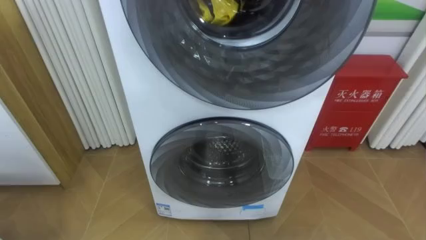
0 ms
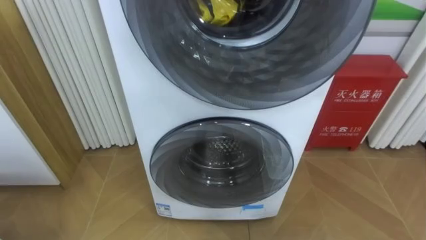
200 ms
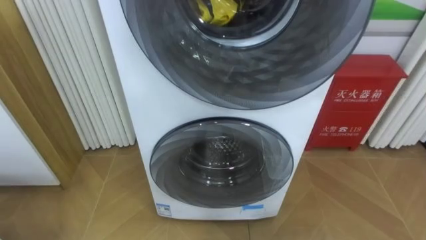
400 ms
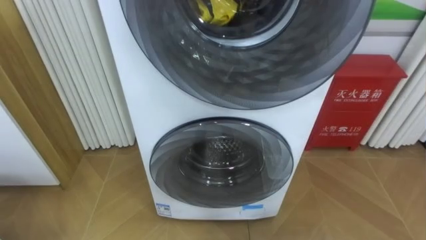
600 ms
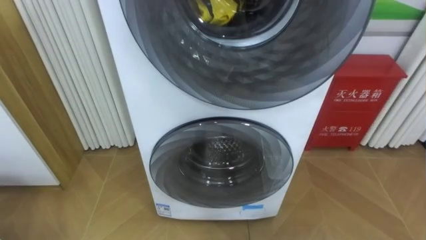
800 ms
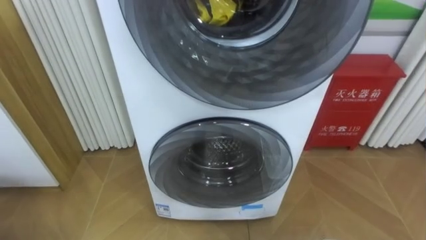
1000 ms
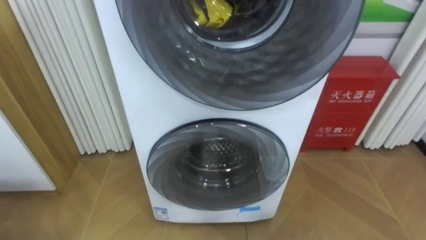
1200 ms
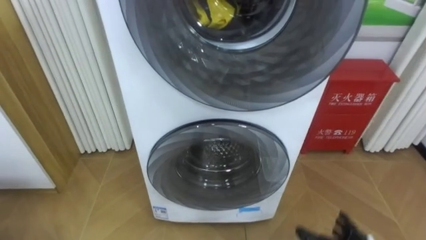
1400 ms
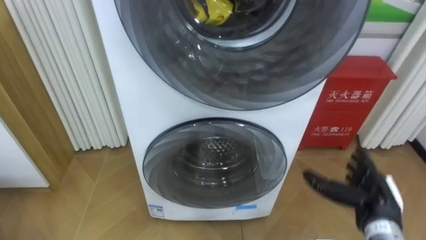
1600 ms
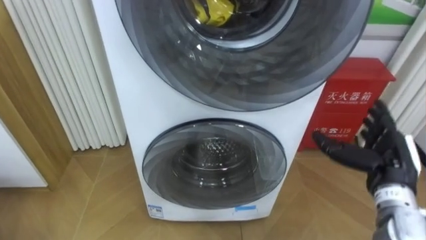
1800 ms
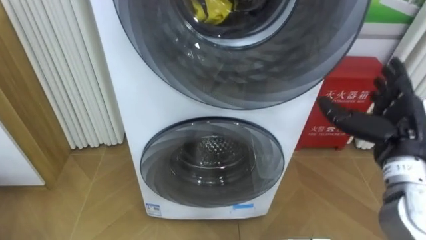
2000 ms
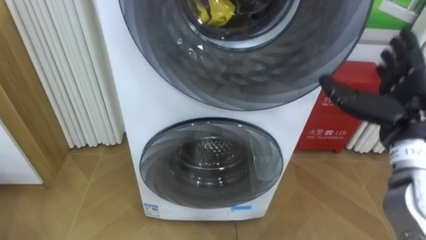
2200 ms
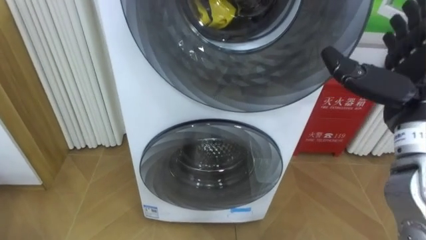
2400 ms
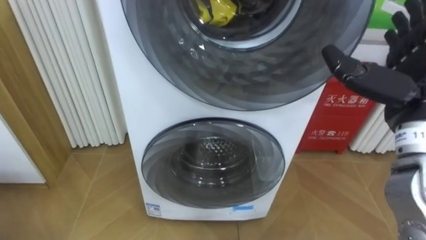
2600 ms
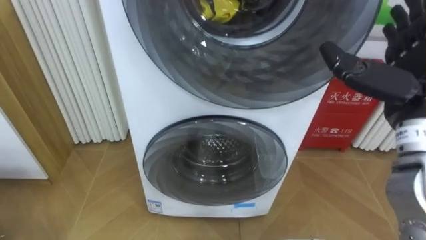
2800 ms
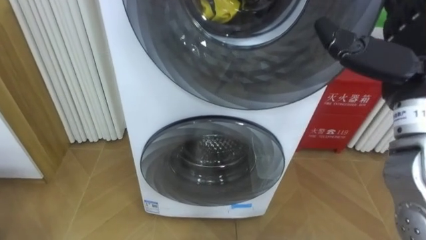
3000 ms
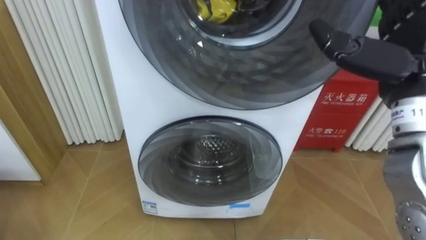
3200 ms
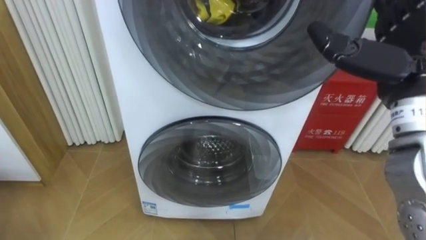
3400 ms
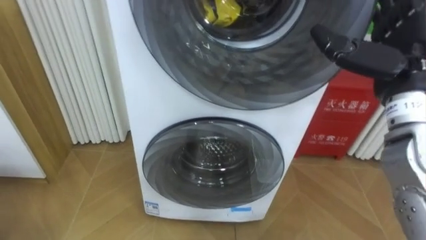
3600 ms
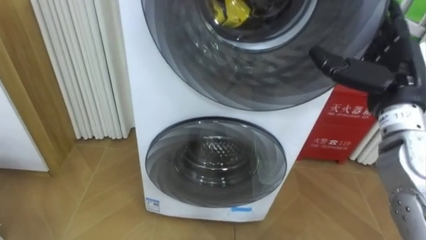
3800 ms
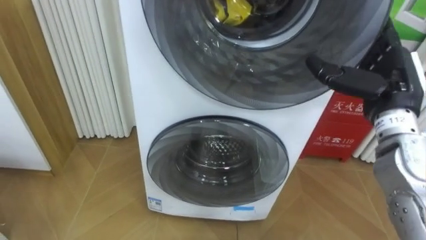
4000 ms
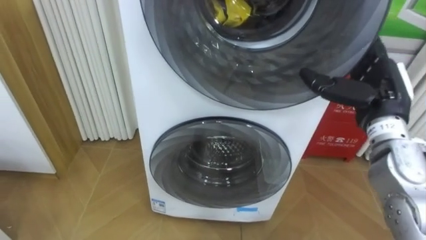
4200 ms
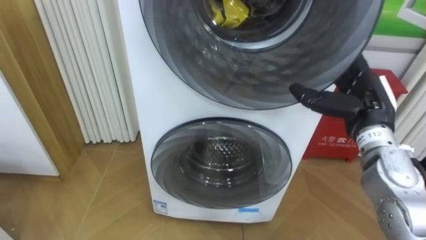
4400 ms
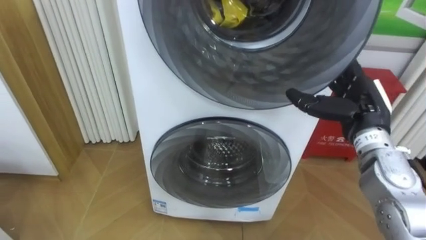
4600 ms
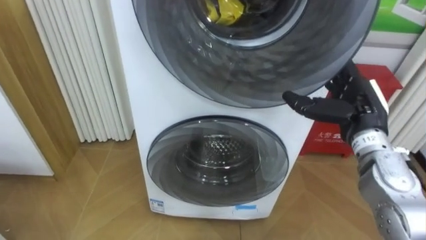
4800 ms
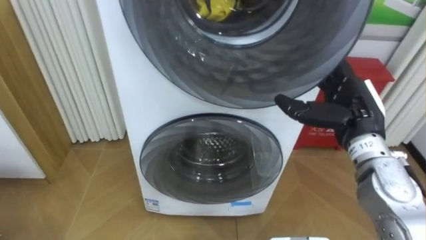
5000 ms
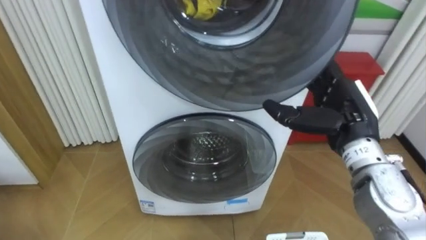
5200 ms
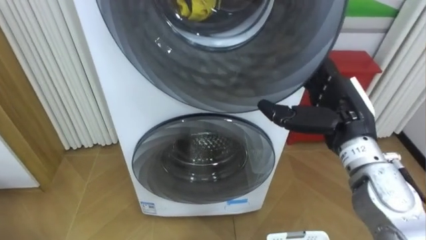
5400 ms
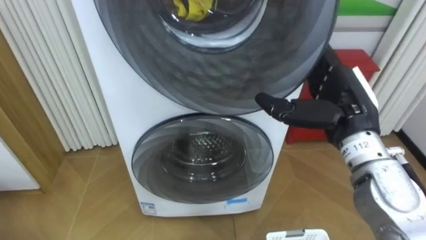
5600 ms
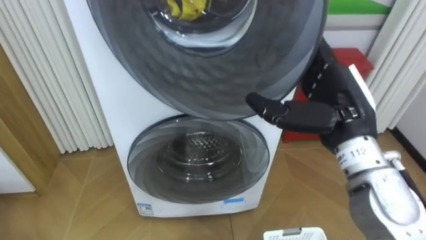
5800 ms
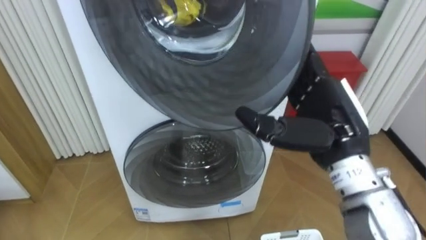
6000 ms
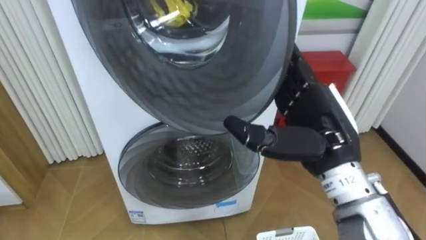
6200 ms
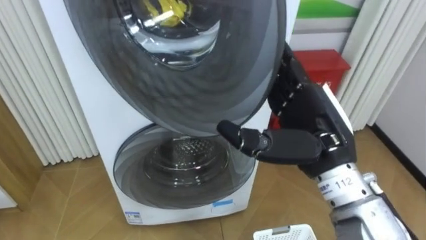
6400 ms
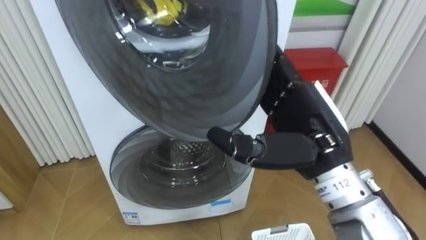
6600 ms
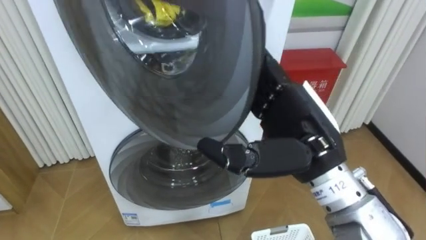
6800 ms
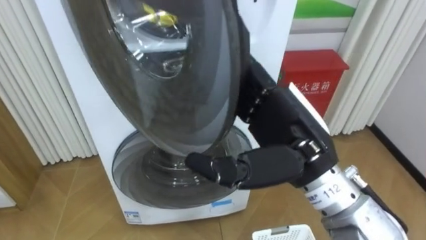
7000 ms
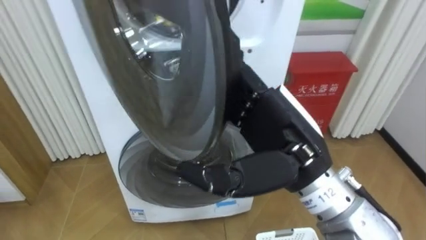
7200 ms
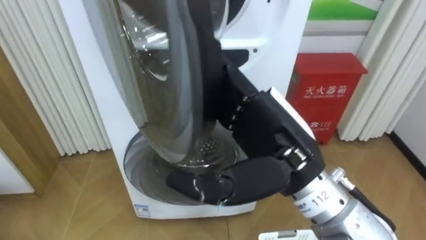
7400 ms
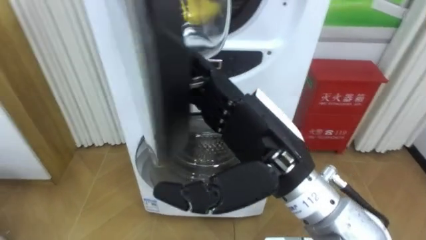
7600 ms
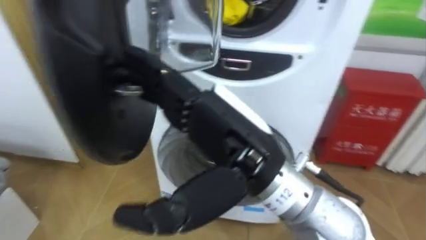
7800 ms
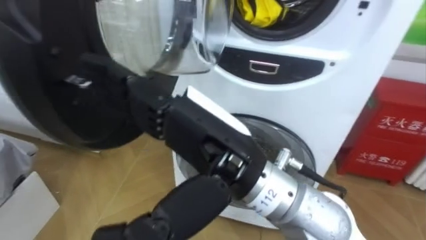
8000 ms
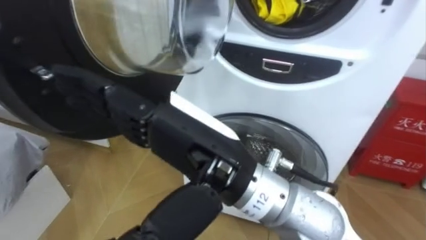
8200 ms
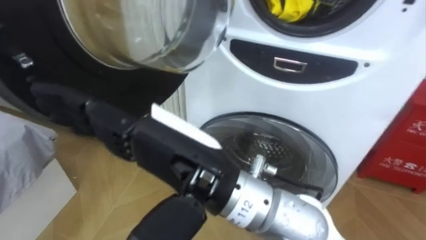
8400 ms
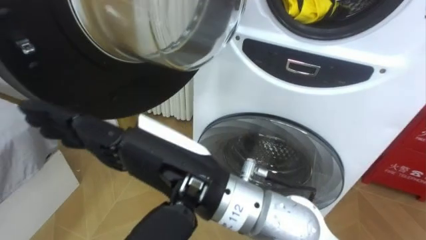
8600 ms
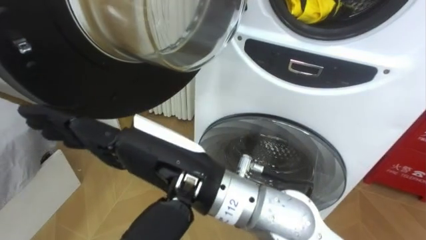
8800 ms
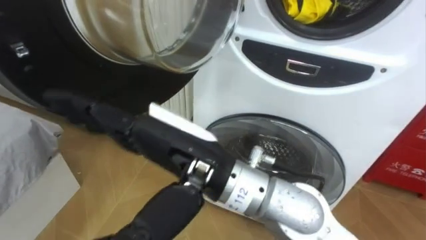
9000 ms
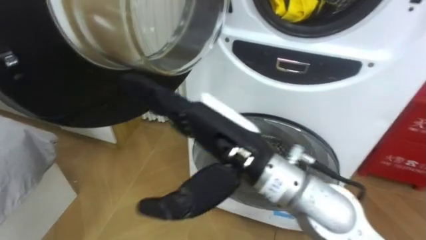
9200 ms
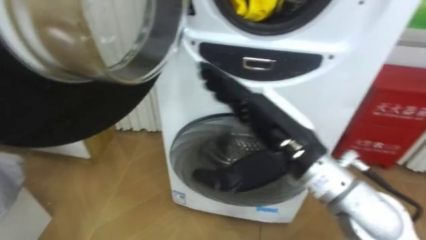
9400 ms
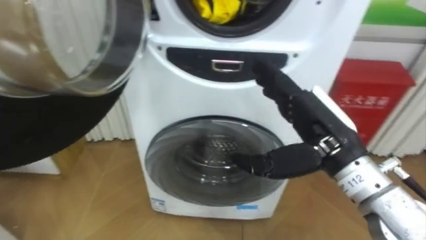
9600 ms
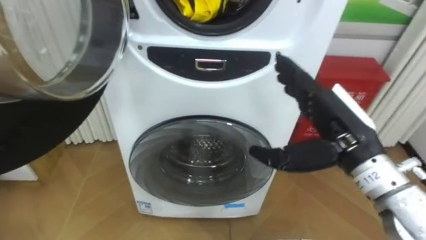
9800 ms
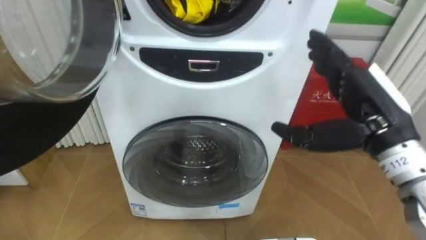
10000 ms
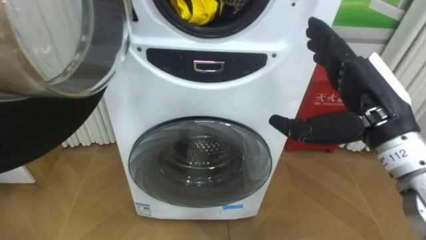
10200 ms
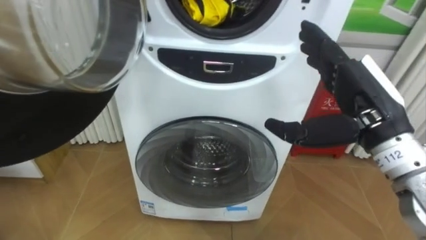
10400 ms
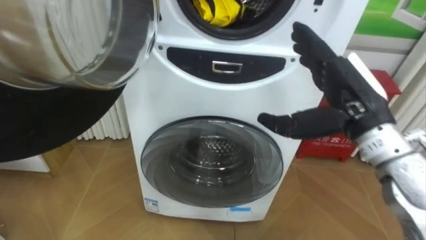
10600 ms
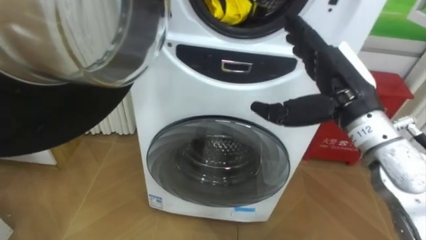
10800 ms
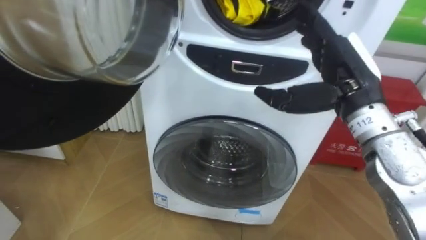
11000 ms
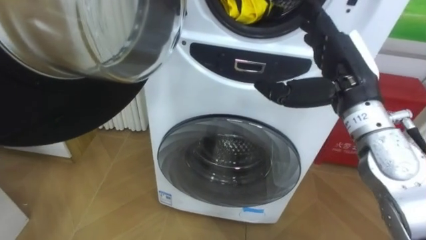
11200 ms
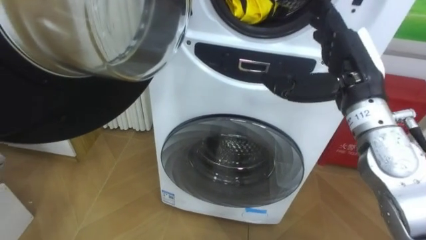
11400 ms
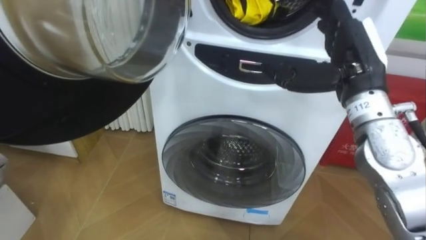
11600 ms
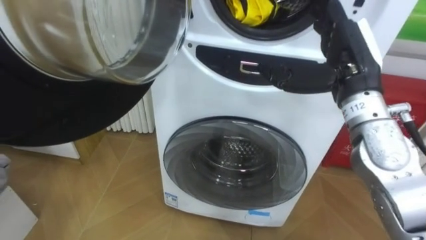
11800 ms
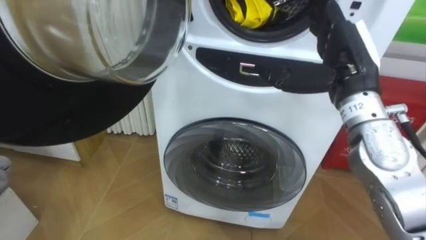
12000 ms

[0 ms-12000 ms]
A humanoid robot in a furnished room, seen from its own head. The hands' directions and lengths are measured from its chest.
Task of the whole recording: Open the washing machine door, take out the yellow clothes, place them in the box on the right, and close the washing machine door.
1600 ms to 3000 ms: The right hand goes roughly 25 cm upward.
3000 ms to 4400 ms: The right hand goes about 15 cm downward and forward.
4400 ms to 6000 ms: The right hand heads to the left and backward, covering about 10 cm.
6000 ms to 7600 ms: The right hand shifts some 10 cm to the left and backward.
7600 ms to 9000 ms: The right hand is displaced to the left by roughly 10 cm.
9000 ms to 10400 ms: The right hand shifts approximately 25 cm to the right.
10400 ms to 12000 ms: The right hand shifts approximately 5 cm forward.

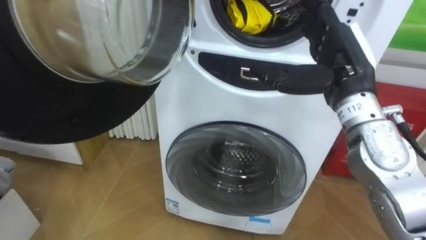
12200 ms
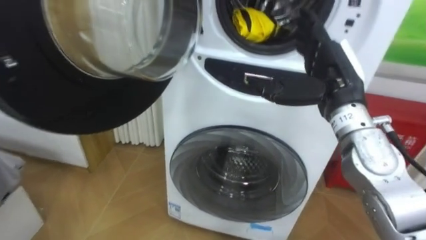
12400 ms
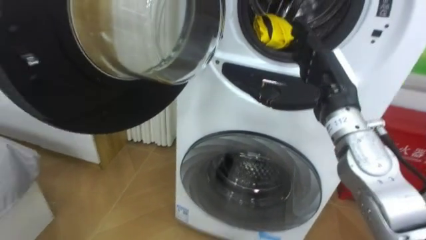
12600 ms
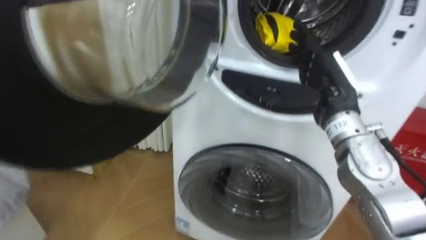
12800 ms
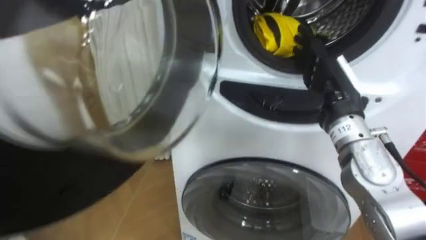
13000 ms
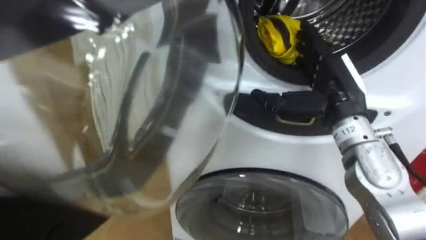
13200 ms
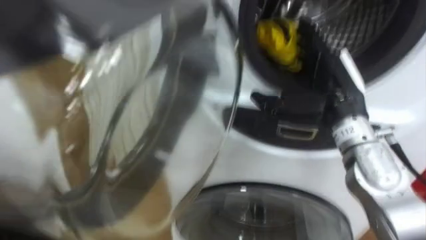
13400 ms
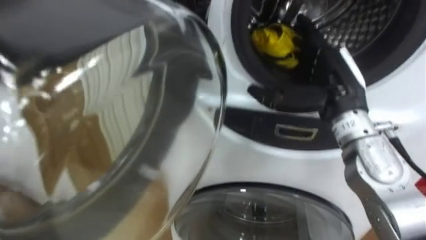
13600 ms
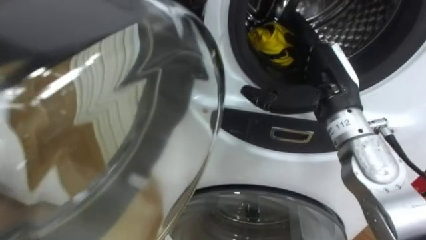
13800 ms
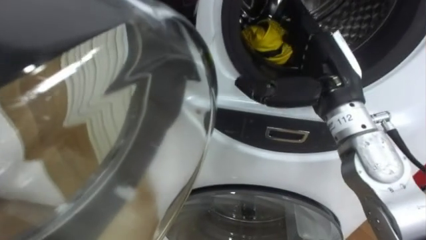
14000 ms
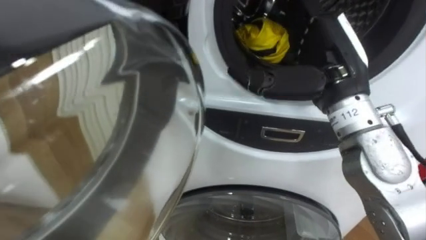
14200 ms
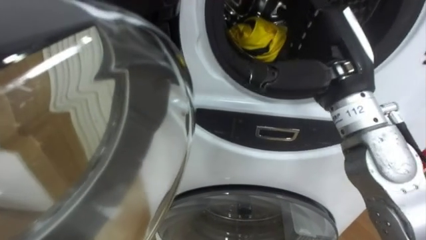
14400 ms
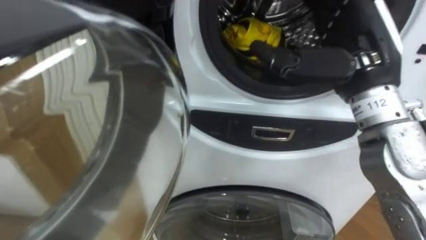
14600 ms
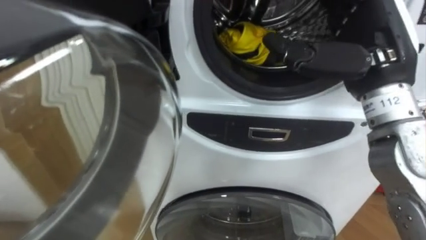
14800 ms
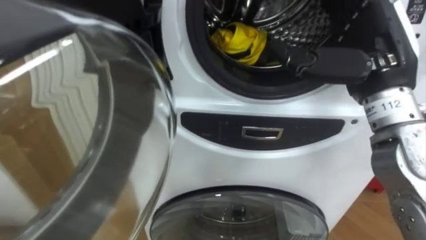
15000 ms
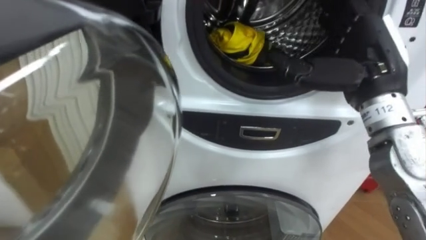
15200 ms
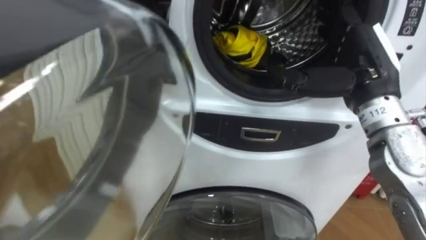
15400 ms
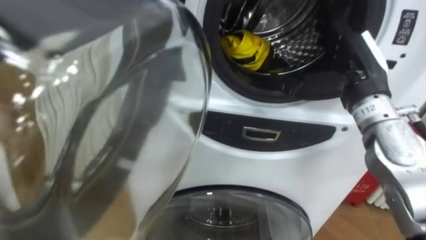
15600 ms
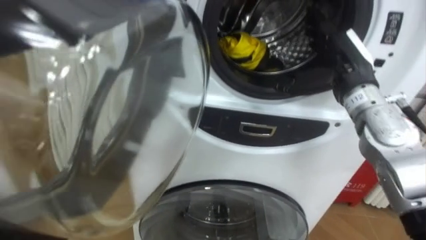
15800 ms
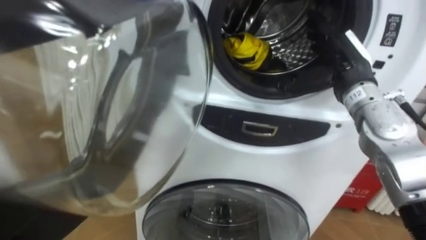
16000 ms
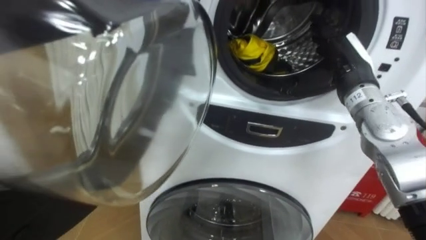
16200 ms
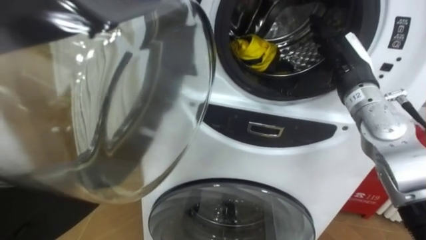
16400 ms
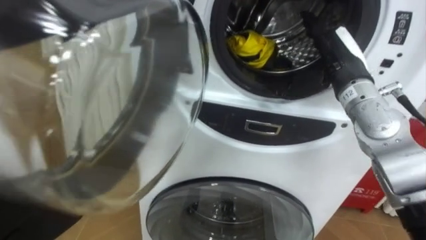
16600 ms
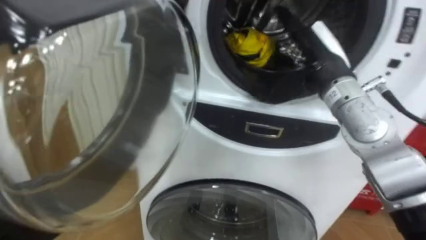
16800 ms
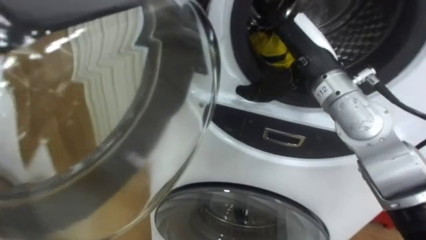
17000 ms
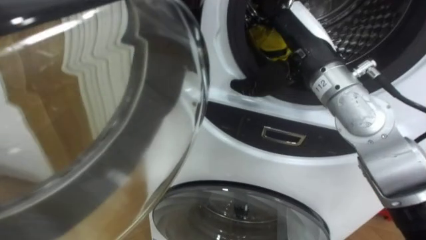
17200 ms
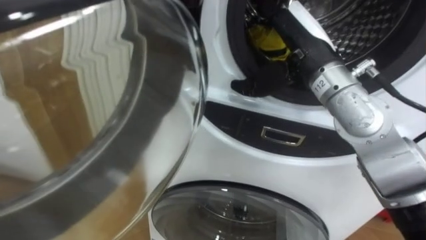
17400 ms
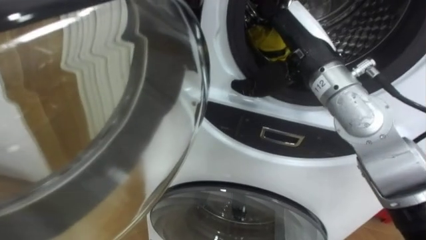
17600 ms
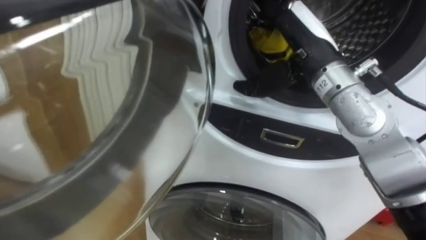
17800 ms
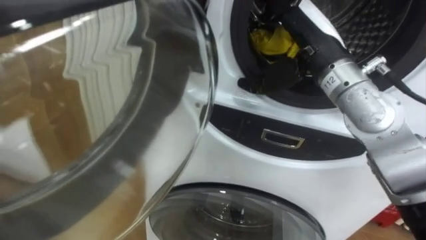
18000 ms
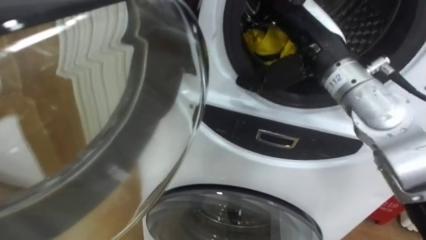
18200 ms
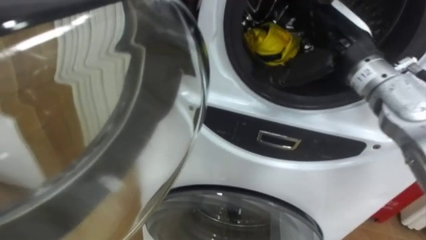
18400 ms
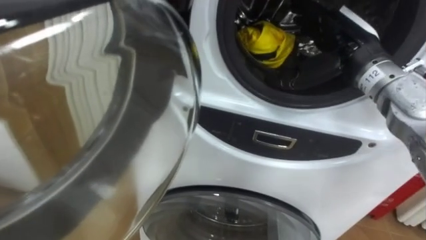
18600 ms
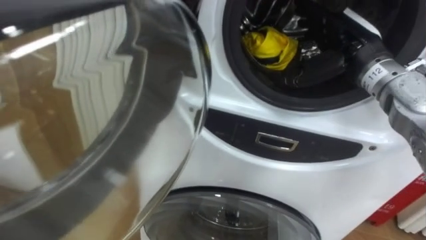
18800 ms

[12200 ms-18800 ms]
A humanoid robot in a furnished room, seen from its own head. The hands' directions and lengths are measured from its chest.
Task of the whole recording: Open the washing machine door, take out the yellow clothes, place them in the box on the right, and close the washing machine door.
15400 ms to 17200 ms: The right hand heads to the left, covering about 10 cm.
17200 ms to 18800 ms: The right hand heads to the right, covering some 10 cm.
